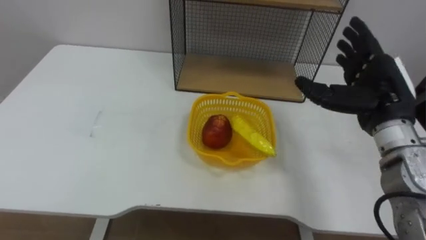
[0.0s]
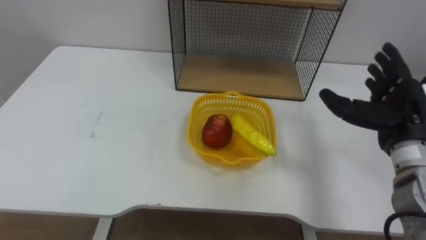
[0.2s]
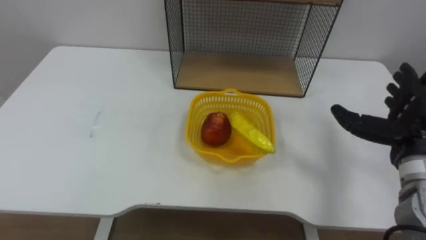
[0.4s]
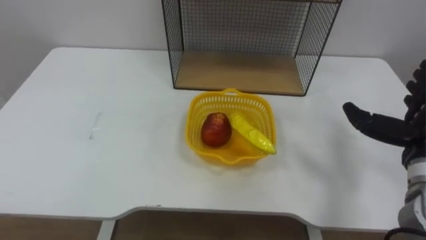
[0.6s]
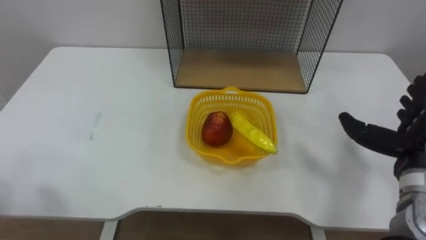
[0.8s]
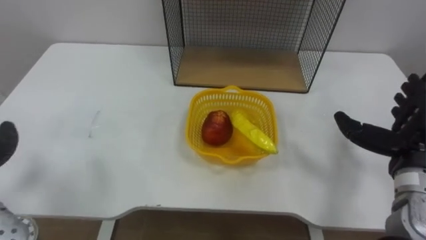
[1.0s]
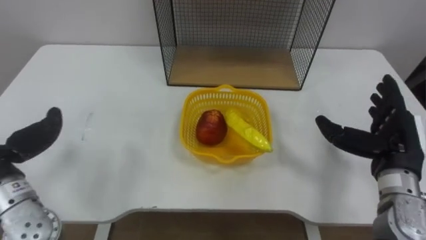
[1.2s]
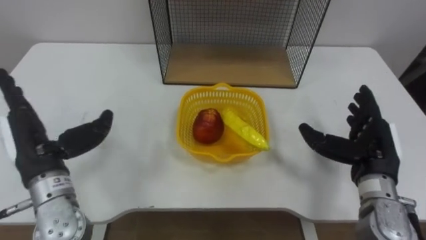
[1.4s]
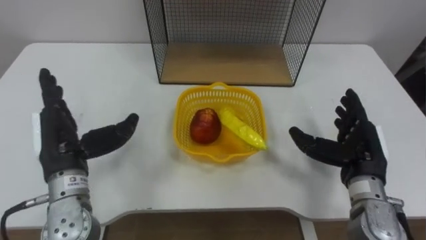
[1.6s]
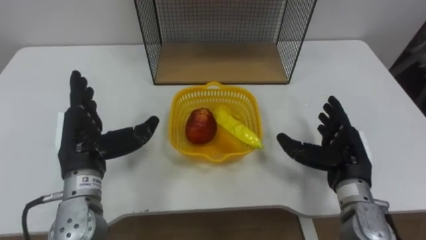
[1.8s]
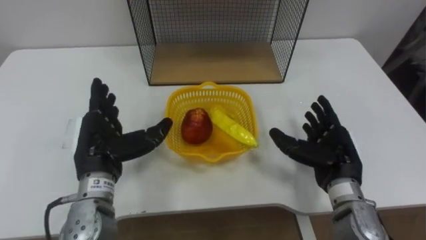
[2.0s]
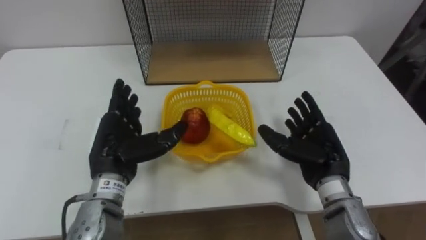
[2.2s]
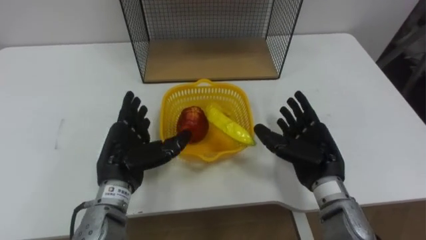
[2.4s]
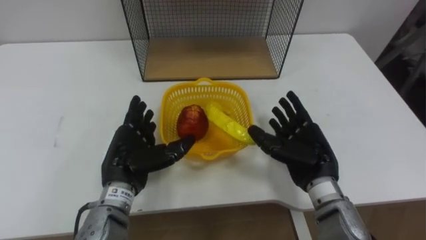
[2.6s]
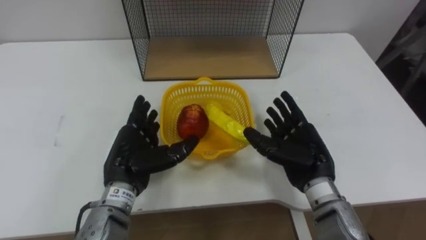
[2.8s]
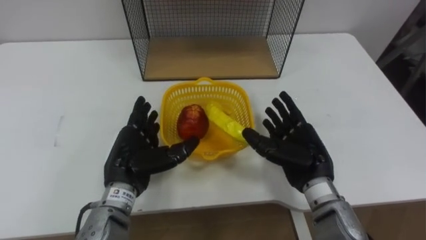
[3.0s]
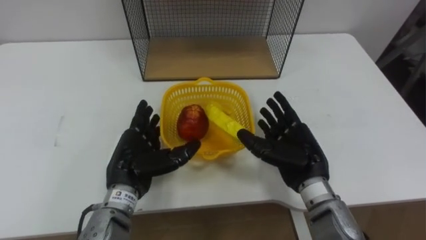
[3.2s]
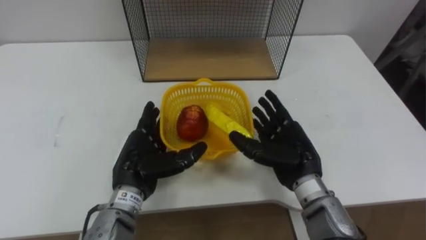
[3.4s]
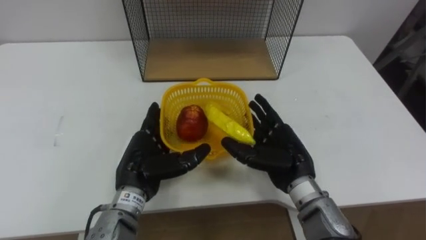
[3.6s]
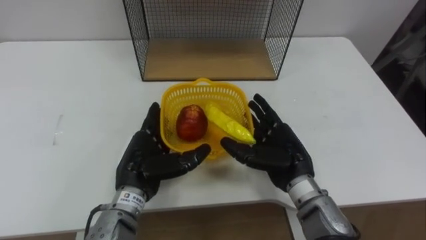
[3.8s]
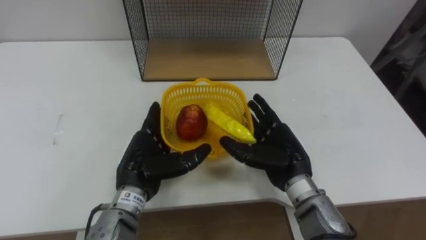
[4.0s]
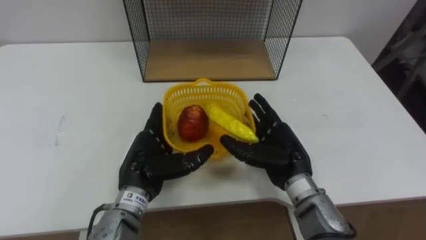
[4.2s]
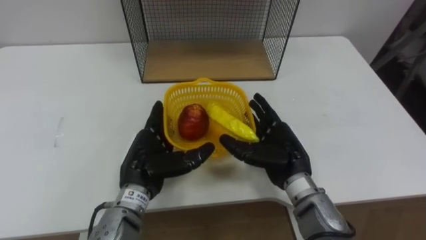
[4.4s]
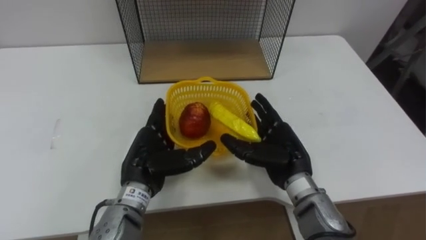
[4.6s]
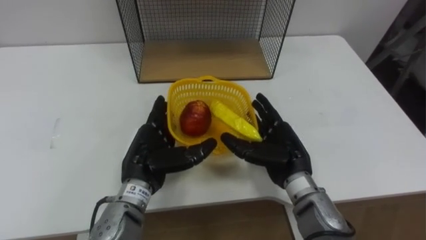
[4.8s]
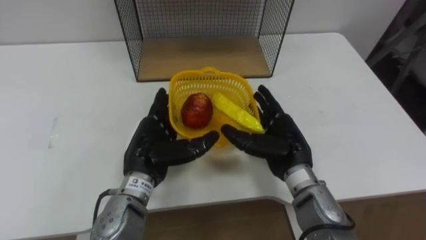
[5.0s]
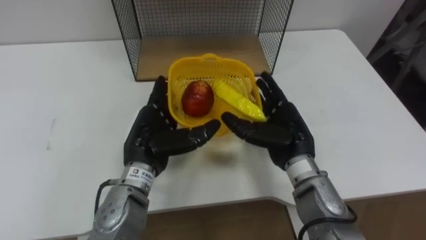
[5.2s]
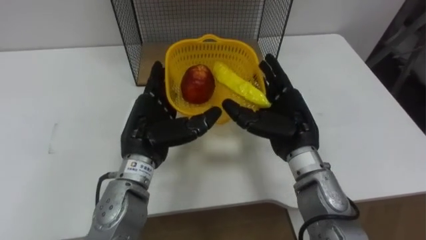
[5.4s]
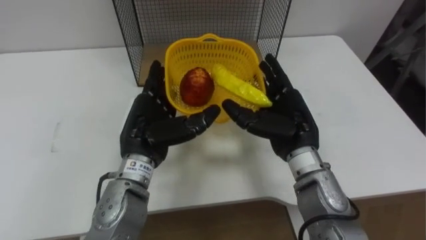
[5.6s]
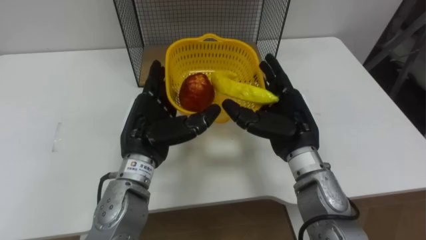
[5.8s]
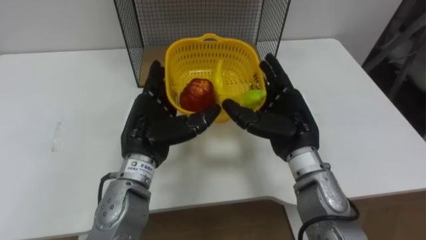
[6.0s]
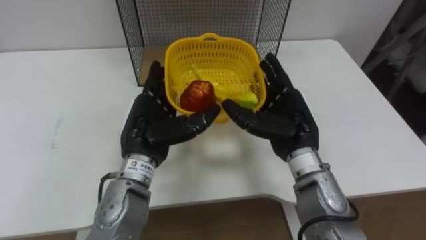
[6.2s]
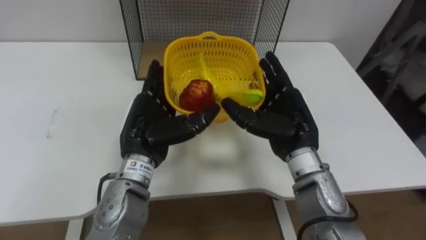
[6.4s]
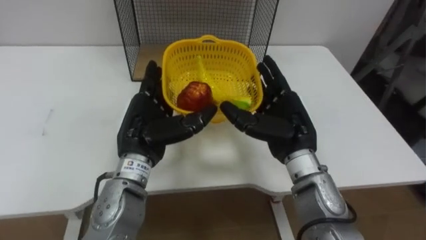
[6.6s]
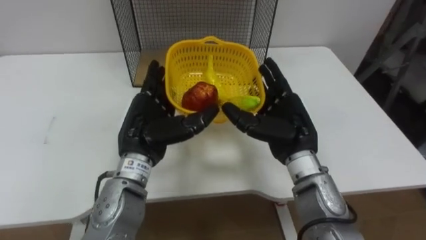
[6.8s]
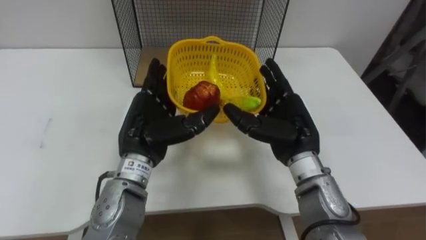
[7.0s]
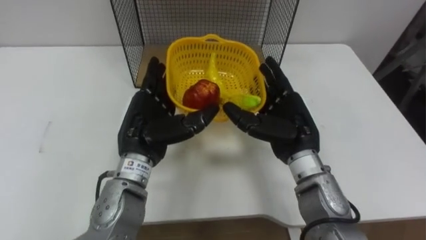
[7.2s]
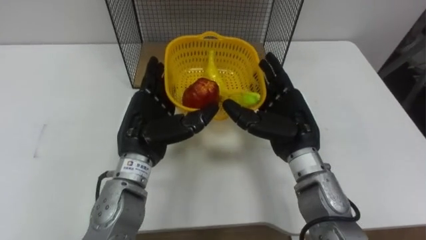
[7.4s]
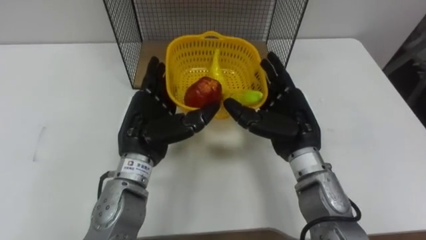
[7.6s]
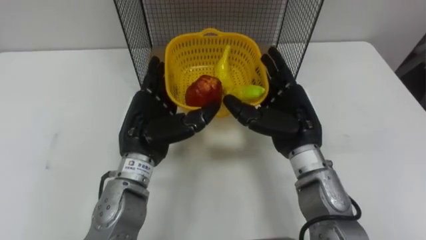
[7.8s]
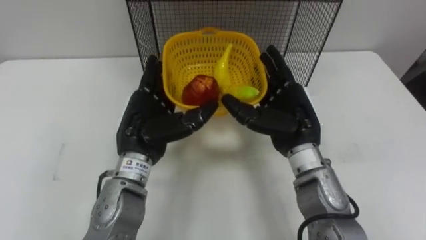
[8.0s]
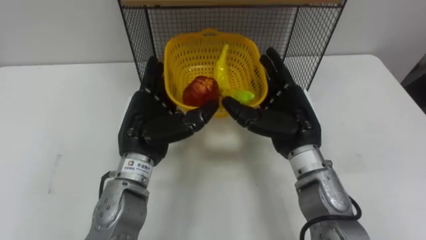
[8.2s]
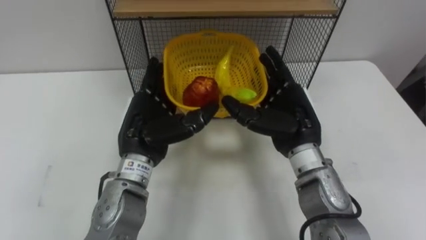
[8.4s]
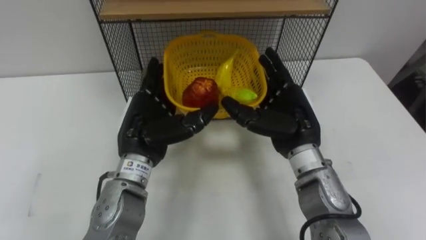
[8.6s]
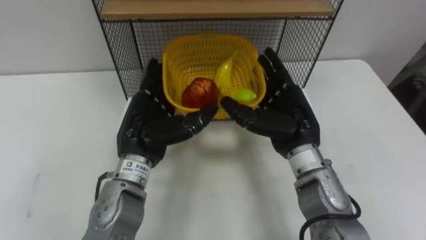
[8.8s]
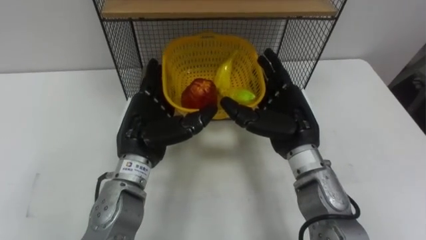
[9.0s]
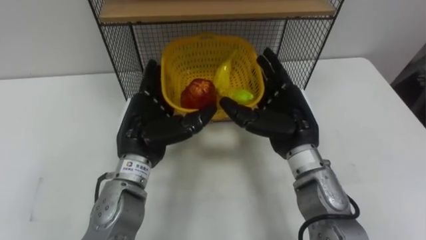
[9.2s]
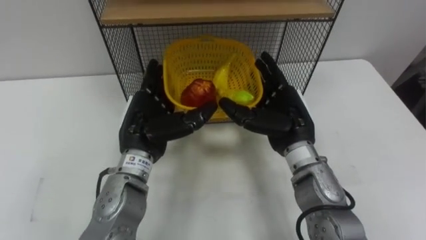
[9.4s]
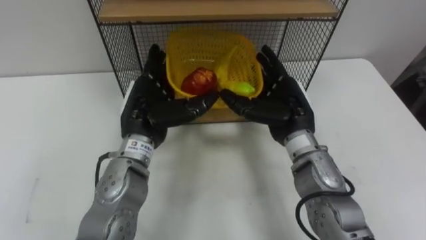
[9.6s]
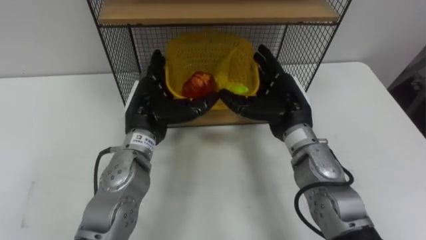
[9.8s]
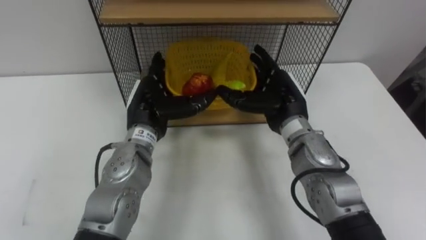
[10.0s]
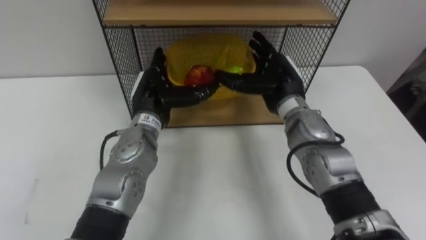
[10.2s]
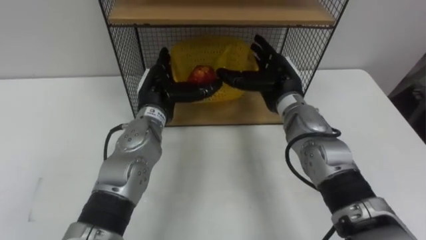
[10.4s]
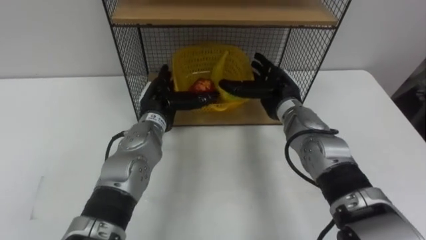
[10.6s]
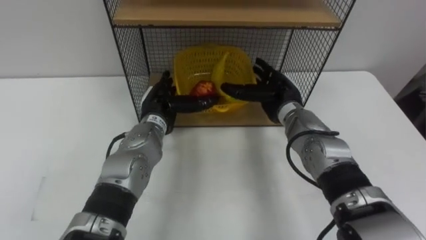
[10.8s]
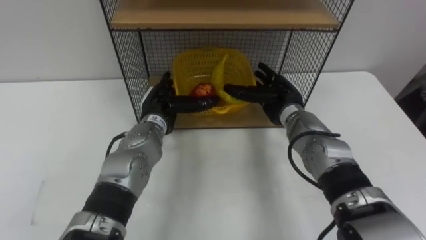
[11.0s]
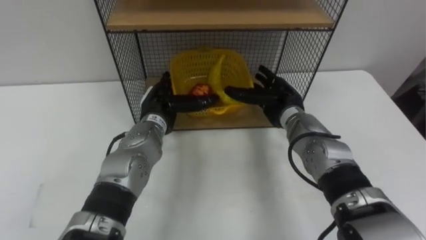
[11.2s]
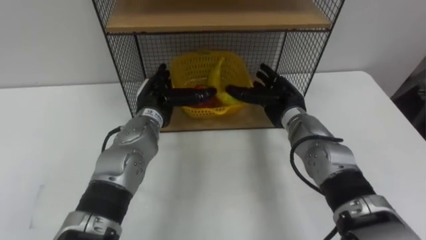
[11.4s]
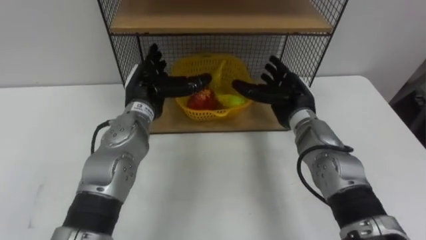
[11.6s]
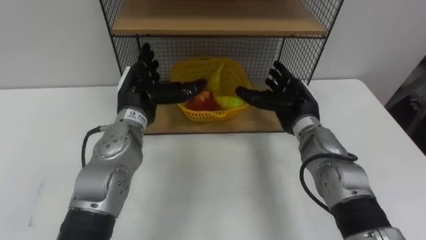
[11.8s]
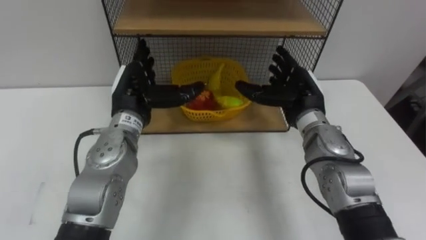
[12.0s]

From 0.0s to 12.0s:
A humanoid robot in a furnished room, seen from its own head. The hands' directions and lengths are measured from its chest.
Task of the whole recording: Put the fruit on the table into the basket, then place the basket on the shelf.
From 1.6s to 3.0s: The right hand goes approximately 10 cm to the left, while the left hand shifts roughly 10 cm to the right and downward.
From 3.0s to 4.4s: The hands stay close to where they were, moving slightly.
From 4.4s to 6.0s: Both hands travel together upward, about 5 cm.
From 9.0s to 10.4s: The hands both shift forward by approximately 10 cm.
From 10.4s to 12.0s: The right hand shifts by some 5 cm; the left hand shifts by roughly 5 cm.

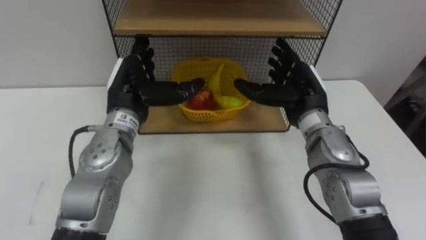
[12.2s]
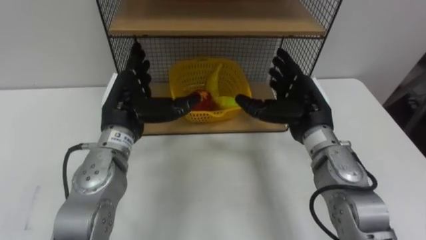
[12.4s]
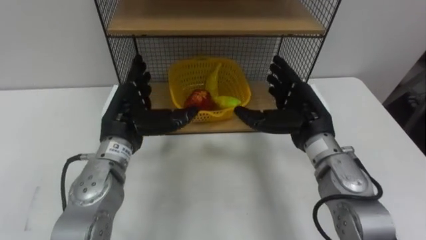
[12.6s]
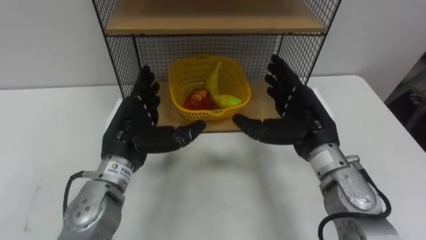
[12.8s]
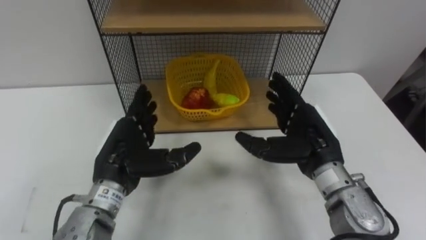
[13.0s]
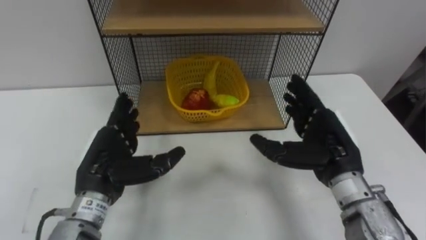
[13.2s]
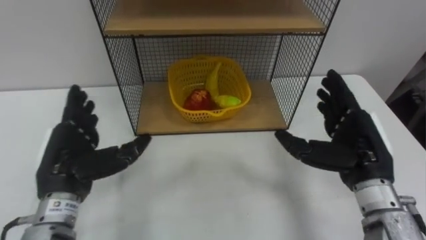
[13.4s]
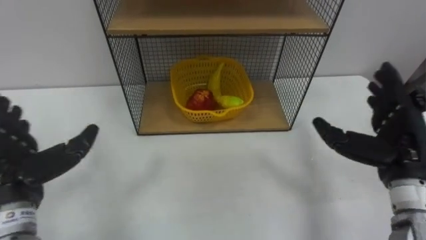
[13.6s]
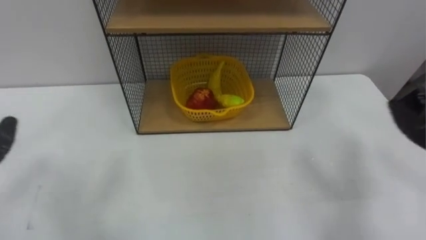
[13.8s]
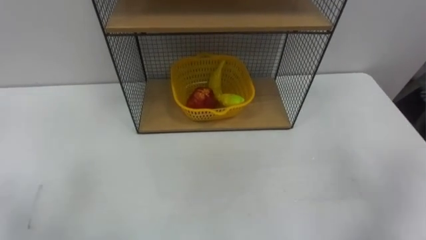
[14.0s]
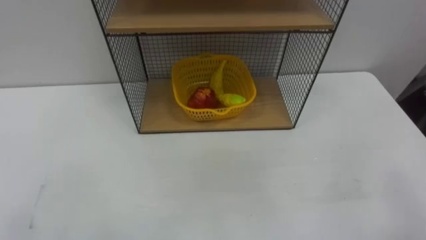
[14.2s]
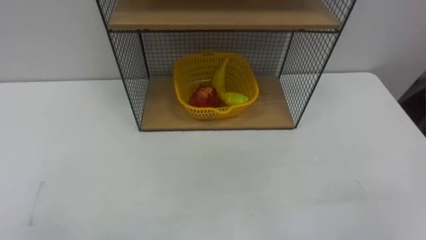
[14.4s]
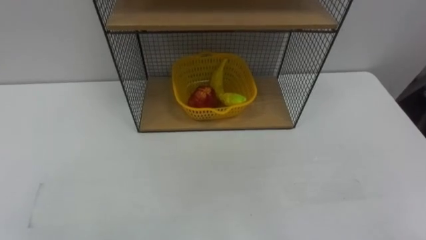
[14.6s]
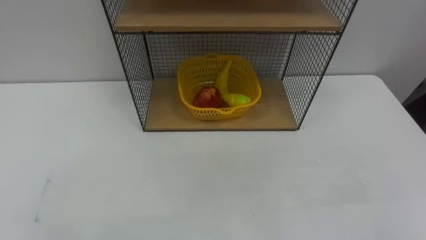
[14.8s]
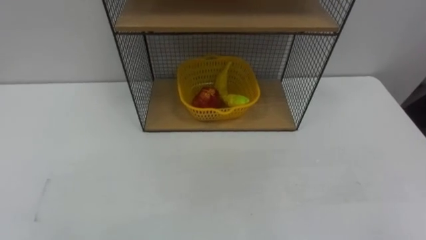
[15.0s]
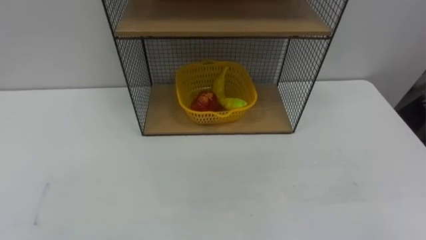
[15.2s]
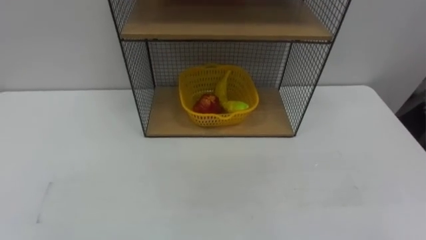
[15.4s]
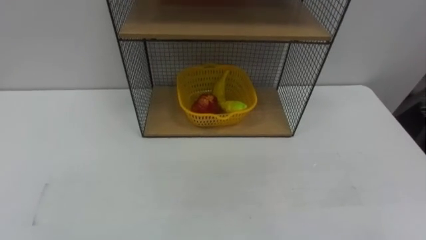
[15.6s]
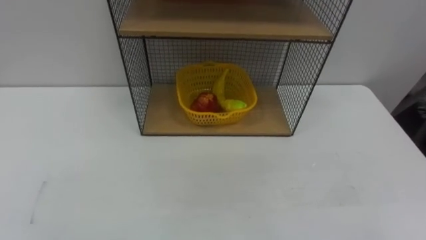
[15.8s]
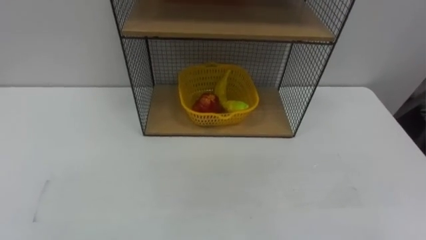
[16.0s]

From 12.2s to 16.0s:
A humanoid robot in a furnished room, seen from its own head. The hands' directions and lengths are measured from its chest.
Task of the whole recording: Put the fruit on the table into the basket, then place the basket on the shelf.
From 12.2s to 13.4s: The right hand heads backward and to the right, covering approximately 15 cm. The left hand goes approximately 15 cm backward and to the left.

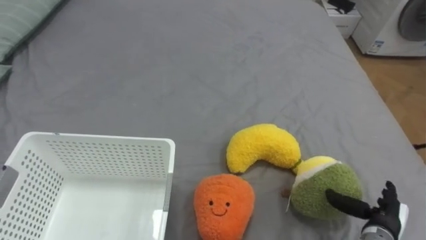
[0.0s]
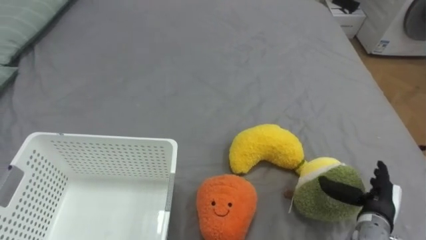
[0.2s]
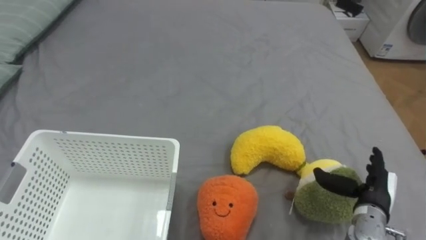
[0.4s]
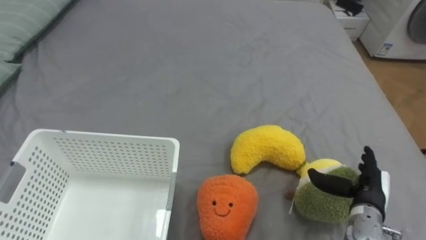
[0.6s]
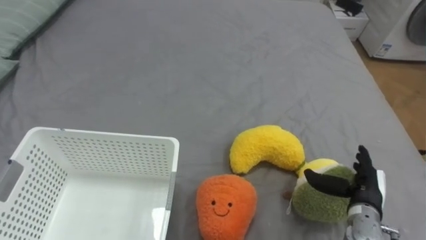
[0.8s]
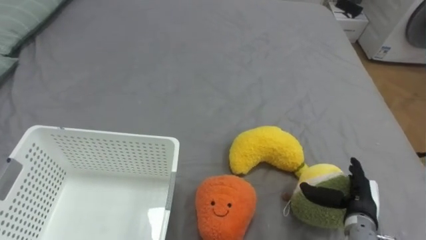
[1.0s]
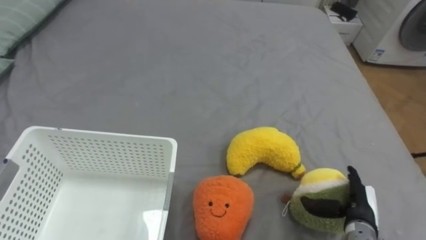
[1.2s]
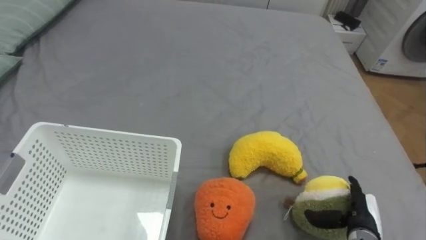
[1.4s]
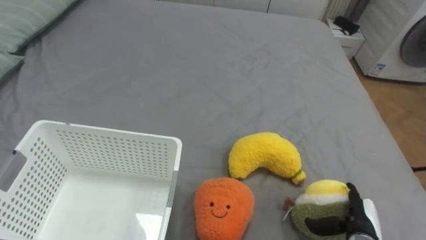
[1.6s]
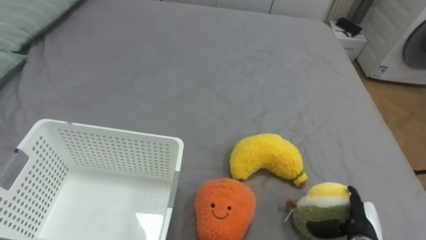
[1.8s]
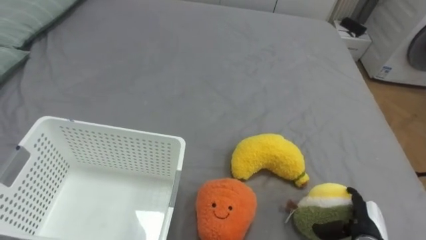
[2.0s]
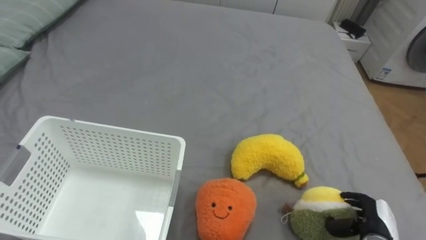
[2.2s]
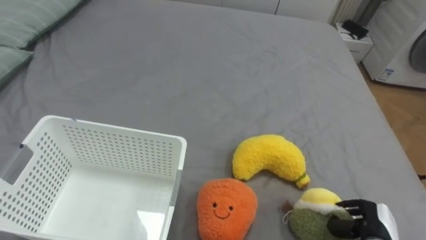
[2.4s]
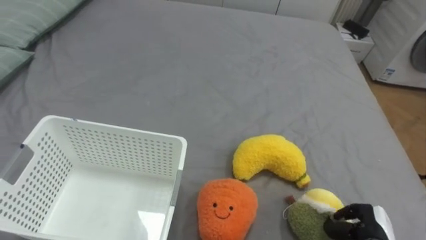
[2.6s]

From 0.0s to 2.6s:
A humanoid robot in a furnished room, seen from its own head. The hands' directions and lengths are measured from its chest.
Task of the whole recording: Put the toys on the bed into the basket on the left.
From 1.2s to 2.6s: The right hand ends up some 5 cm from where it was, and closes its fingers.
